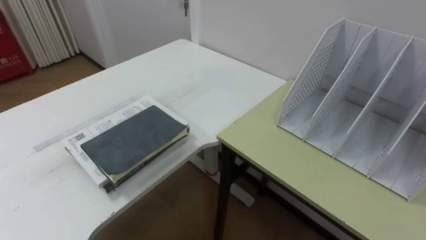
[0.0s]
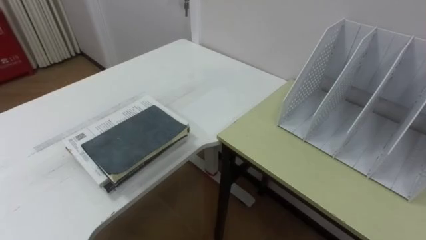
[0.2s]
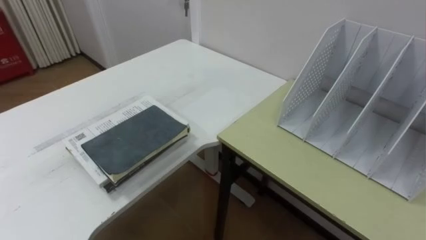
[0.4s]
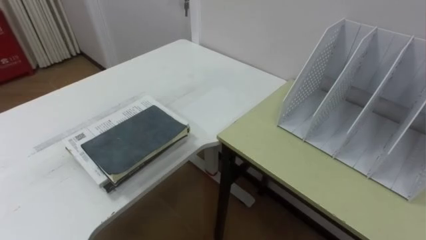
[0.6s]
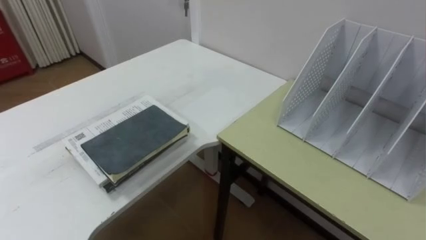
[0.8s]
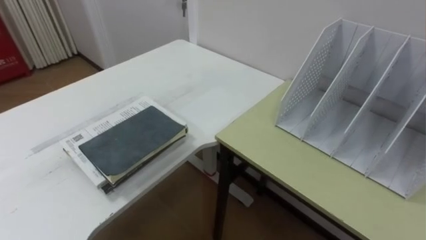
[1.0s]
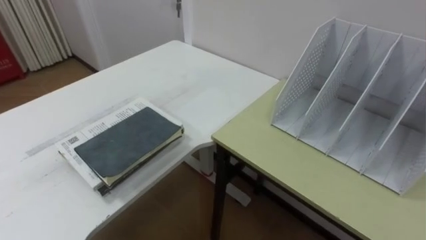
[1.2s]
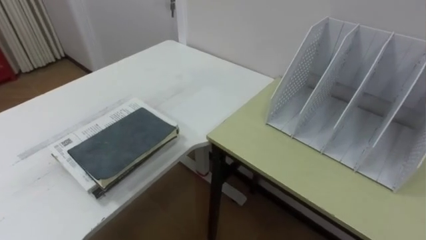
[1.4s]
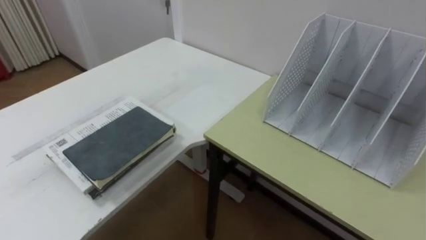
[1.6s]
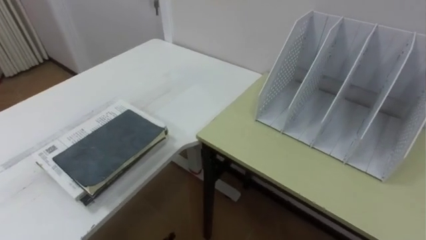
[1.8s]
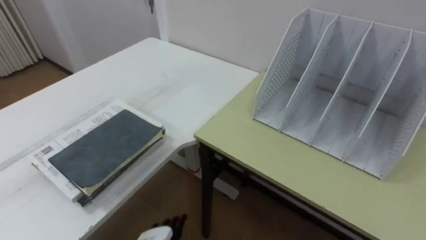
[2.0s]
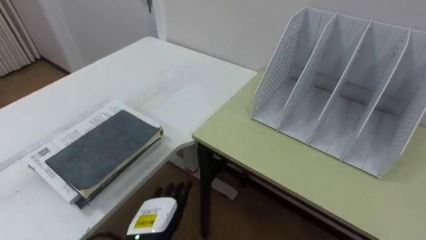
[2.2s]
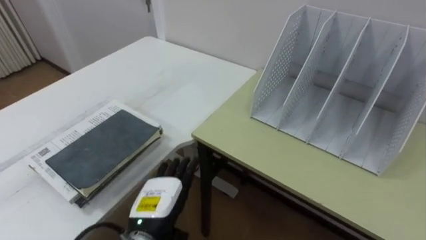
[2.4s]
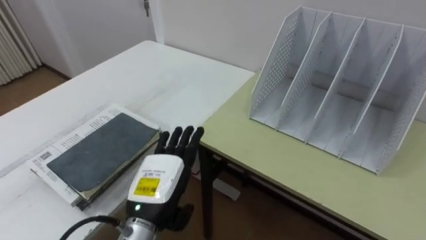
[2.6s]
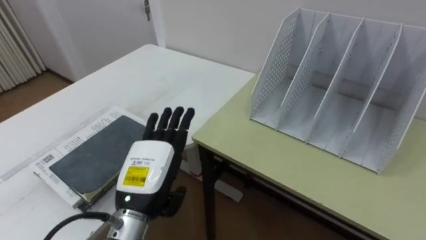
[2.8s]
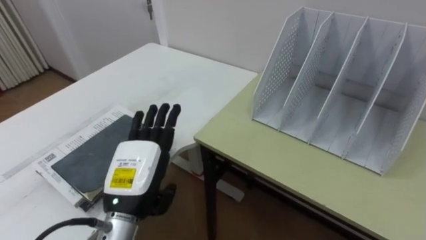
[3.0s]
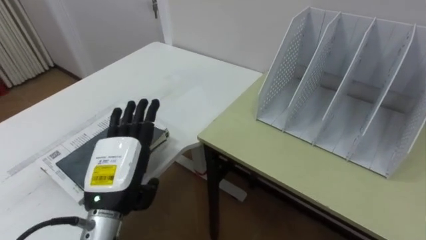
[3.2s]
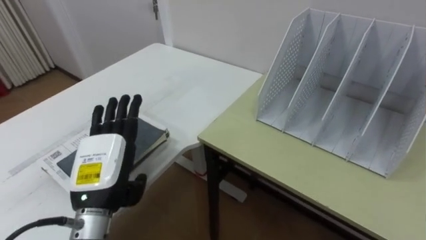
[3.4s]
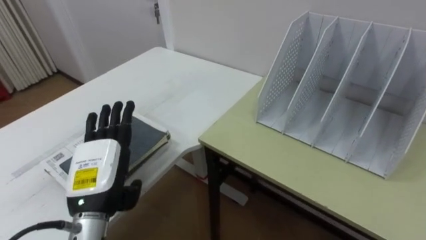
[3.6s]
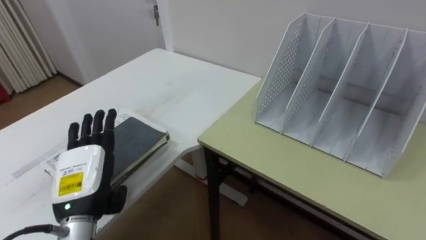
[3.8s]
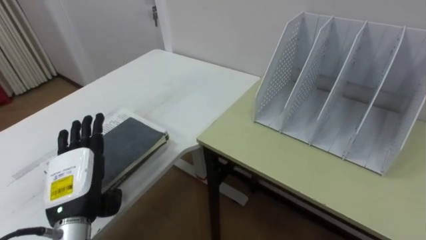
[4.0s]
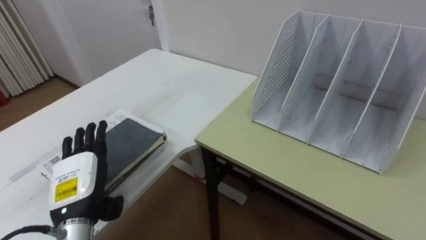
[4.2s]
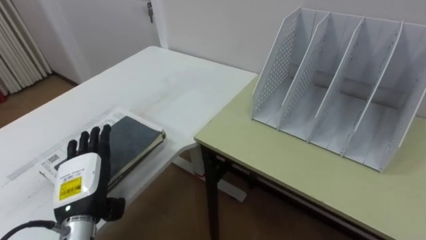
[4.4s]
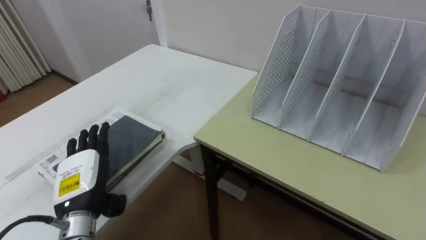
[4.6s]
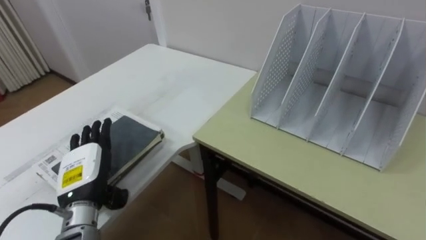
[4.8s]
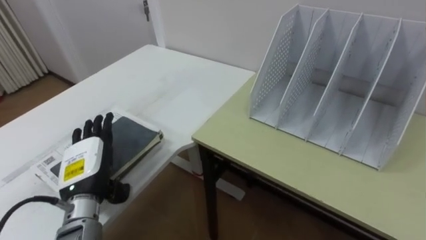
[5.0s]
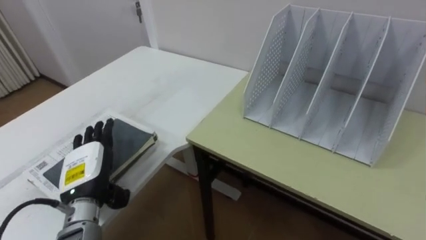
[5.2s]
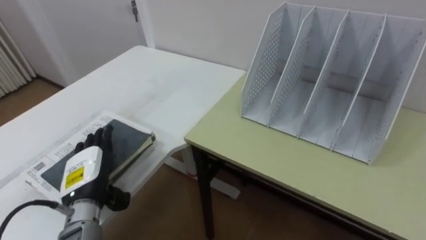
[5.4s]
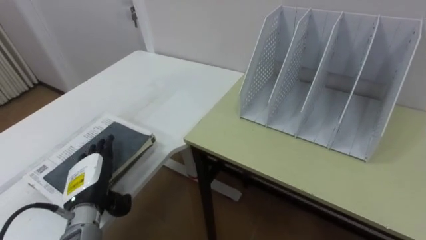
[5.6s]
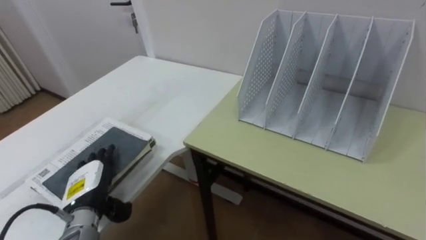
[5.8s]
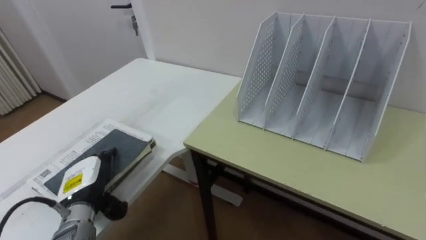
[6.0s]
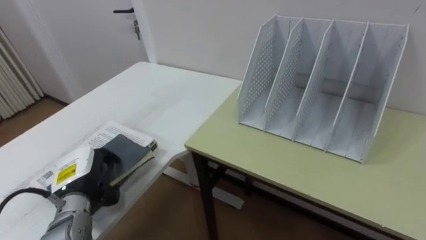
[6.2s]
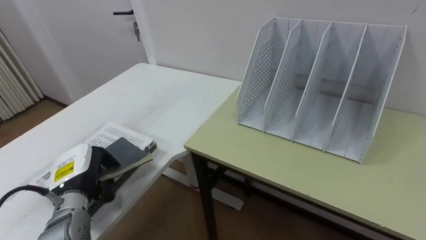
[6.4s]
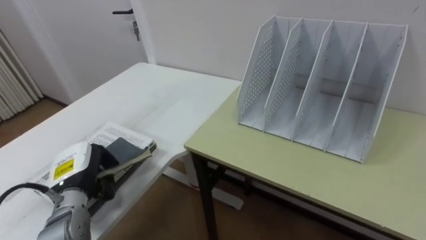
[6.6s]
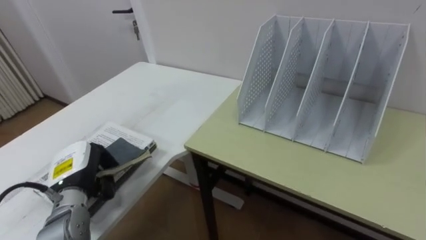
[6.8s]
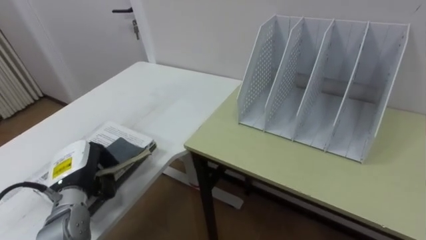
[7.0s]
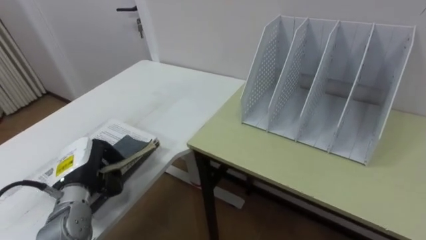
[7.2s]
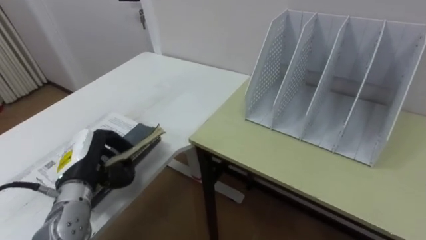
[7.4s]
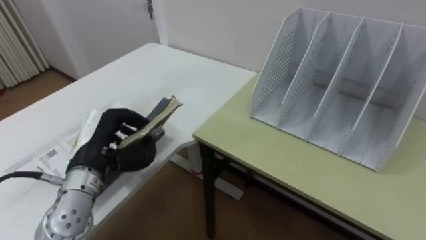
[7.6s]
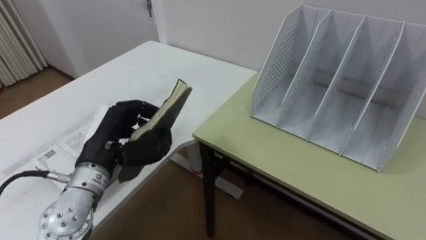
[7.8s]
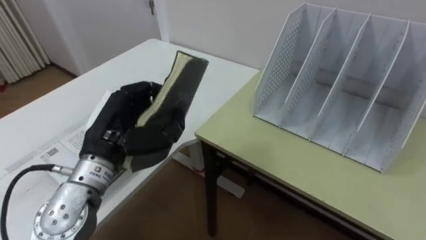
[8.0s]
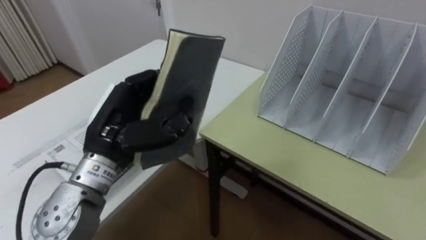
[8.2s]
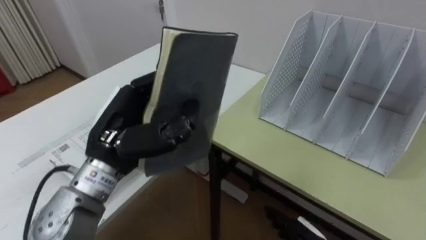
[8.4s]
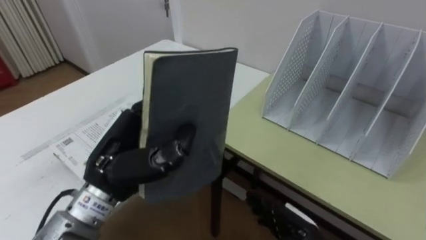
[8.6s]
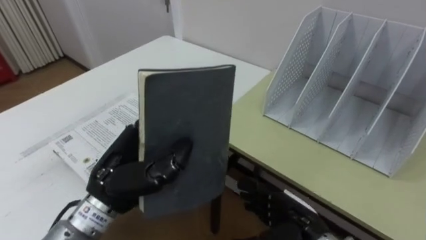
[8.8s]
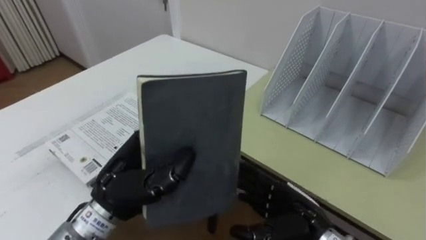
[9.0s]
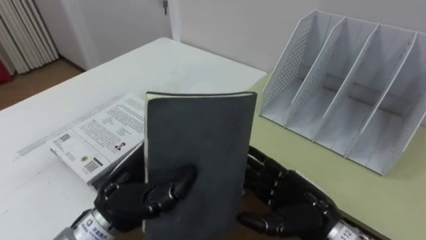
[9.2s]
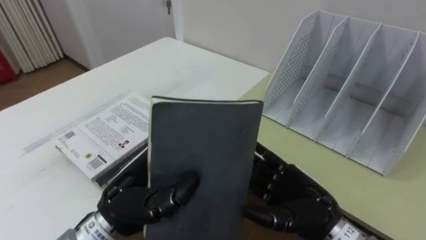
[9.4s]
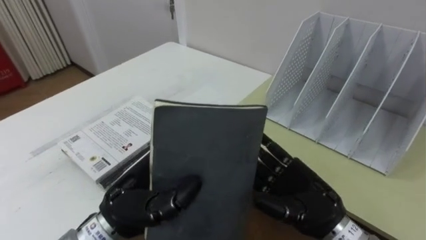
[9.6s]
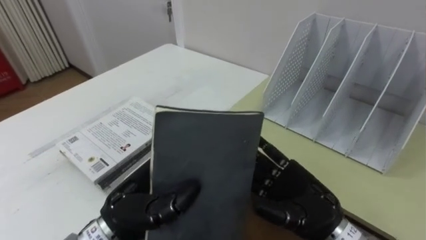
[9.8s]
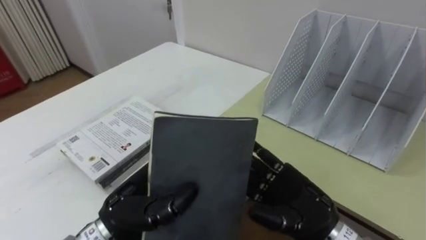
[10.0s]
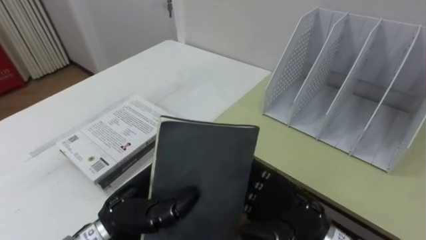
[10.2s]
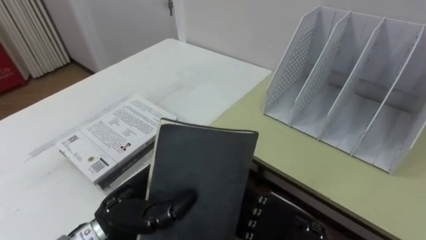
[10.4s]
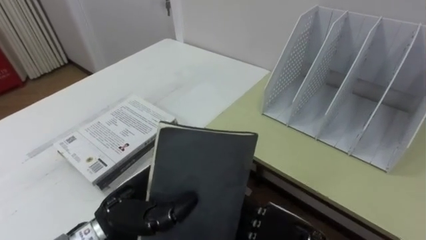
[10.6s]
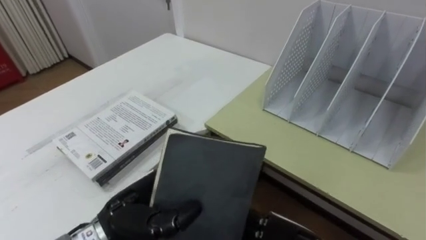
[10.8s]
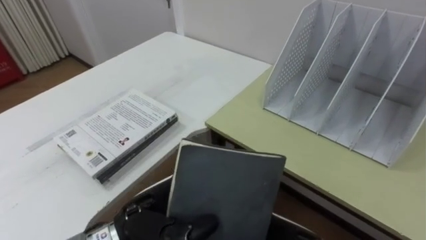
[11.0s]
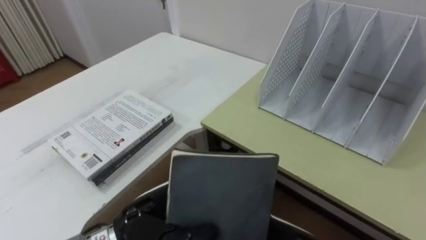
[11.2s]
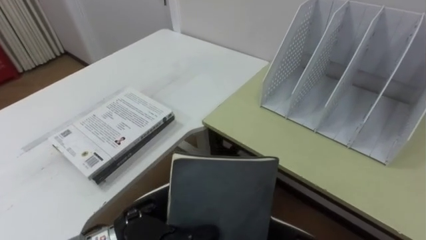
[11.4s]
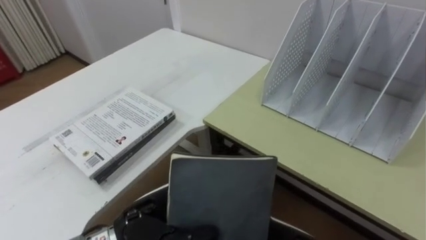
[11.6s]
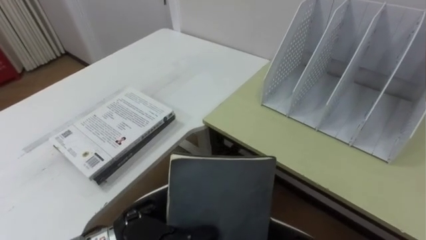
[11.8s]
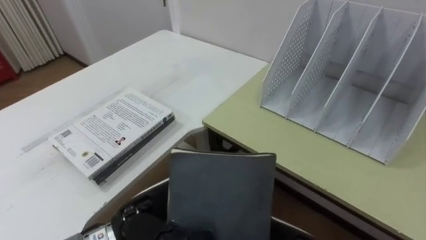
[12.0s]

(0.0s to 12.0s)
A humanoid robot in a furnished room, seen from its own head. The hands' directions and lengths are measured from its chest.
Task of the whole recording: Put the books on the table onto the bookshelf.
3.0s - 4.4s: The left hand heads to the left and downward, covering some 10 cm.
4.4s - 6.0s: The left hand ends up approximately 5 cm from where it was.
6.0s - 7.6s: The left hand goes about 10 cm upward, and closes its fingers.
7.6s - 9.0s: The left hand goes some 10 cm to the right and backward.
9.0s - 10.4s: The left hand goes approximately 5 cm downward, while the right hand is displaced upward by about 5 cm.

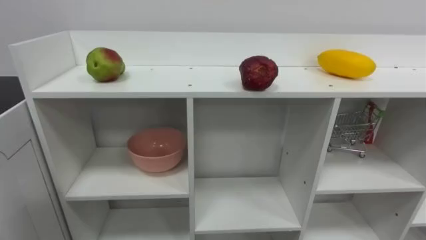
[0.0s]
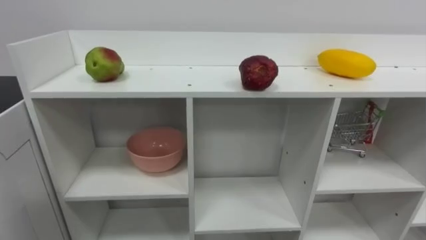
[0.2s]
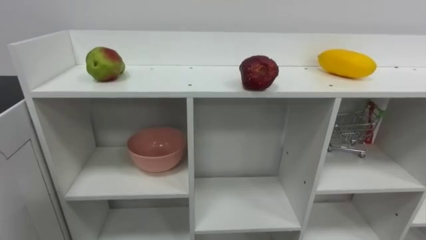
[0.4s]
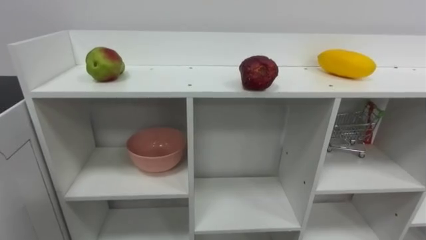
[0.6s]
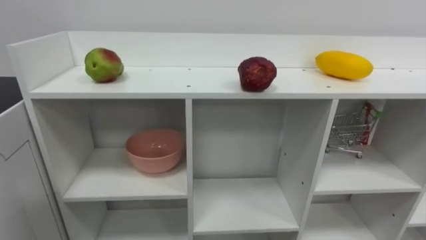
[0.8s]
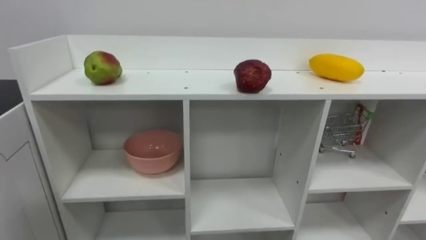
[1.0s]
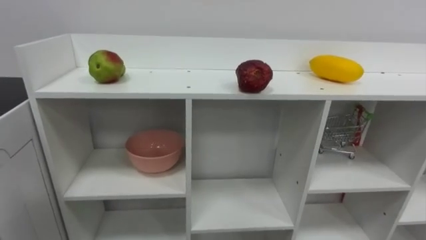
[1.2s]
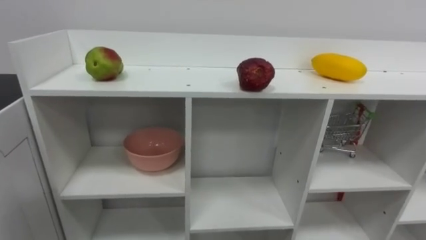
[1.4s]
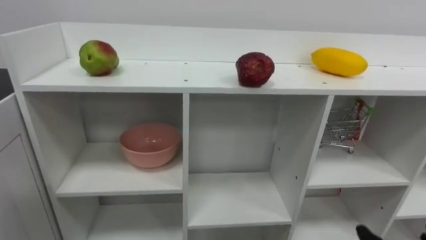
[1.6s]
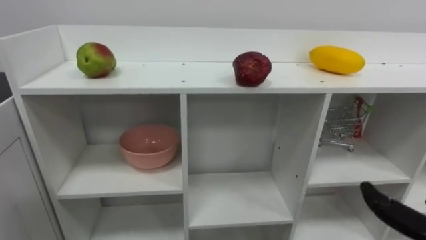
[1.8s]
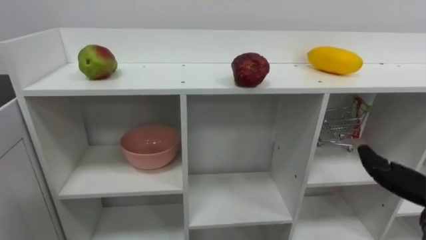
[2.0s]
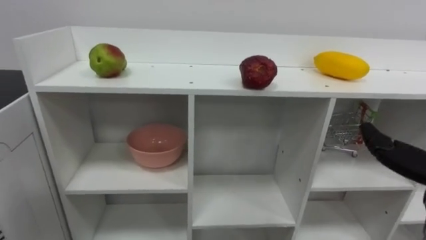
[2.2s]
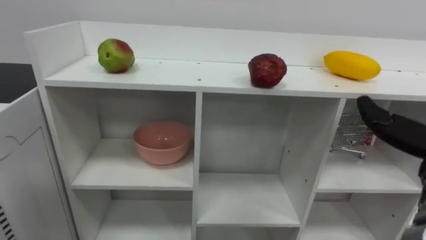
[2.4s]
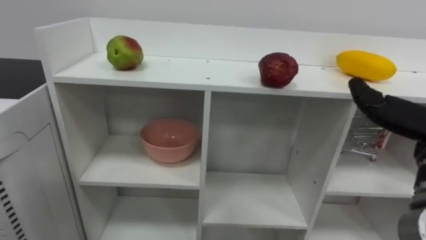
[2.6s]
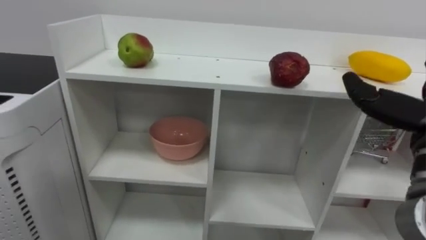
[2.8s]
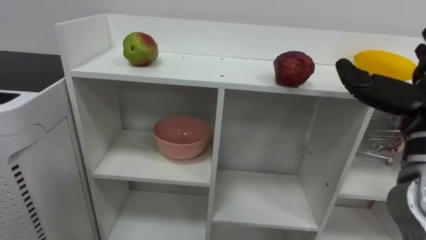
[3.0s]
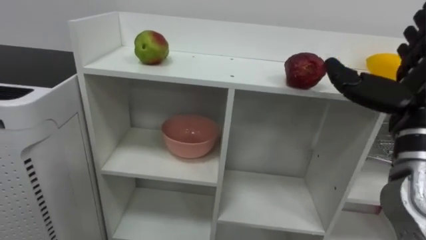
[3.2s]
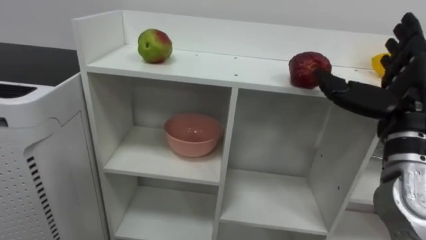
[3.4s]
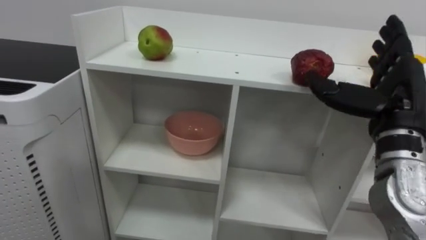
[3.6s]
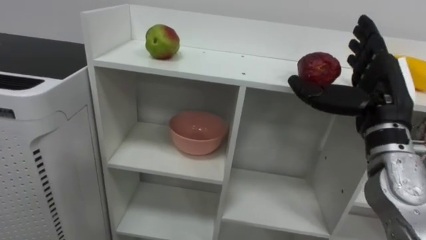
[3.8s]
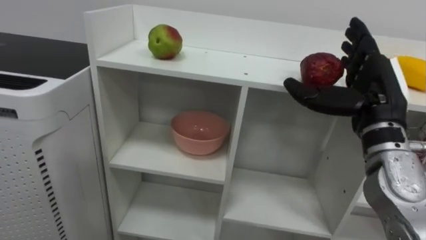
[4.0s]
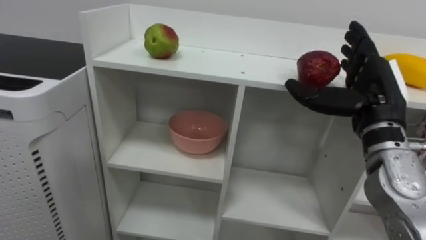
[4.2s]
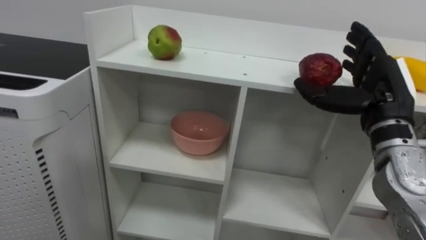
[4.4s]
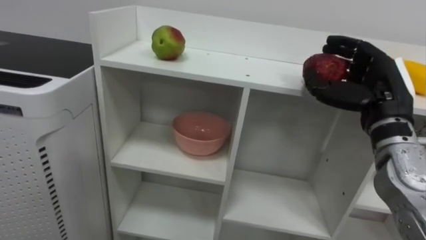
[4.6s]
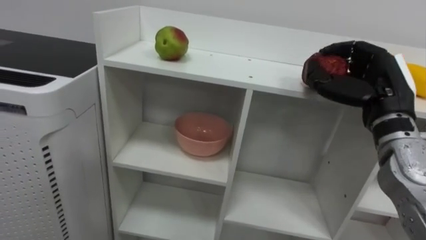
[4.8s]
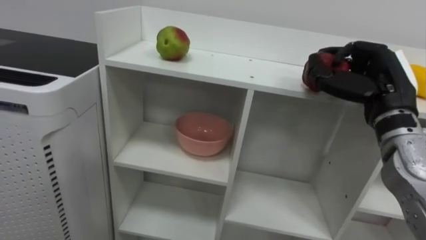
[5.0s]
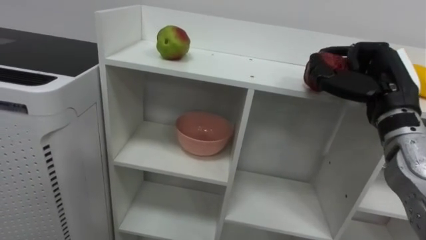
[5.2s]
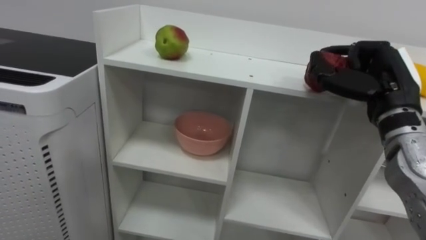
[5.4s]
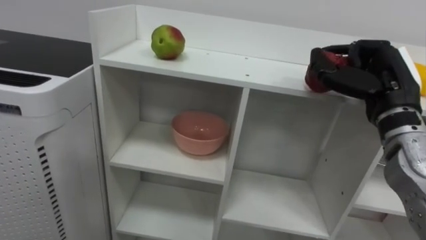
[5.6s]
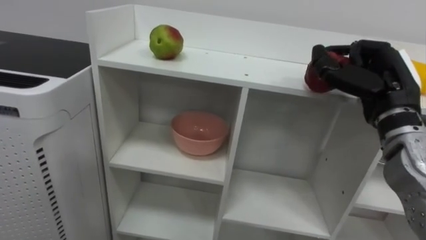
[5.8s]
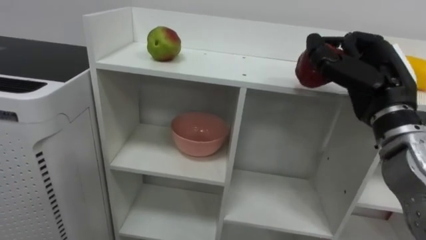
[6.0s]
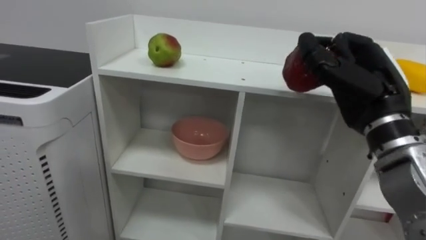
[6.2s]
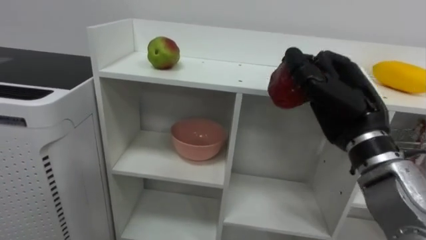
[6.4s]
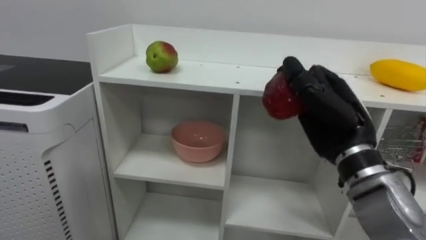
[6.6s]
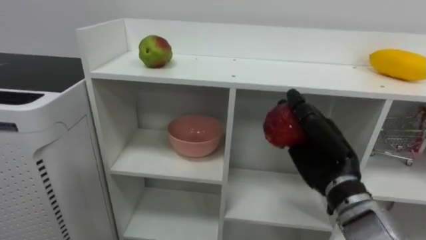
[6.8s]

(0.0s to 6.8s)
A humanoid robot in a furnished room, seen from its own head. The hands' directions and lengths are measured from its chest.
Task of the whole recording: Put the apple in the cell in the second column from the left and the second row from the top.
4.0s - 5.4s: The right hand closes.
5.4s - 6.8s: The right hand travels downward and to the left by roughly 10 cm.
